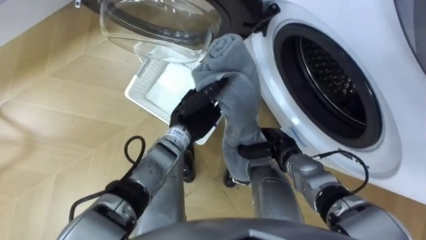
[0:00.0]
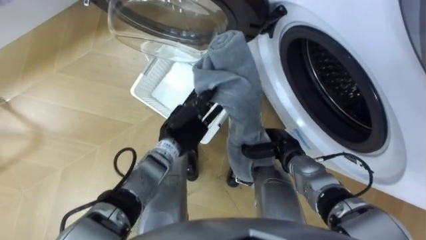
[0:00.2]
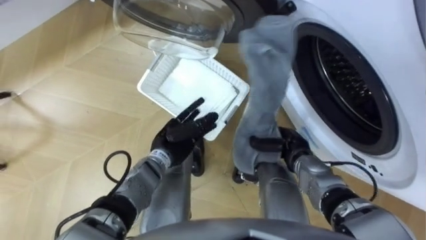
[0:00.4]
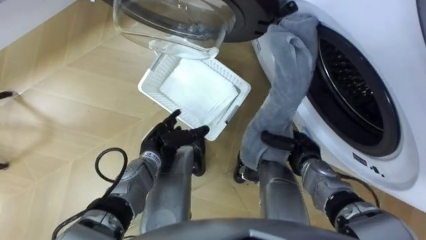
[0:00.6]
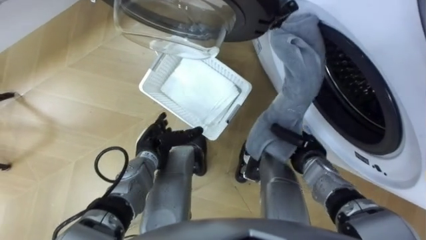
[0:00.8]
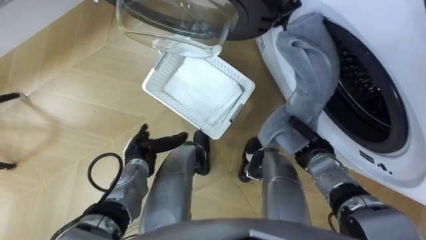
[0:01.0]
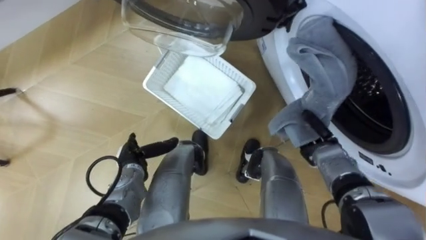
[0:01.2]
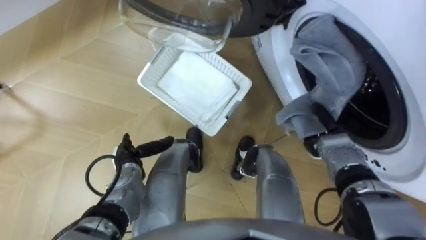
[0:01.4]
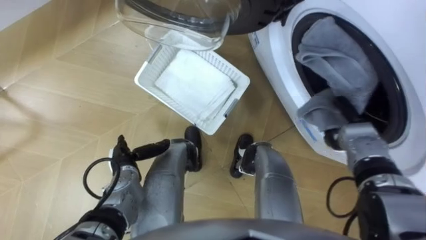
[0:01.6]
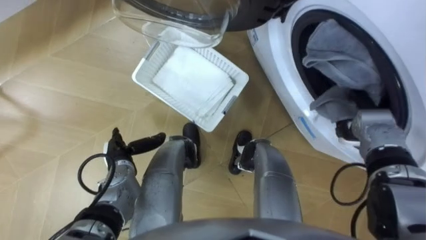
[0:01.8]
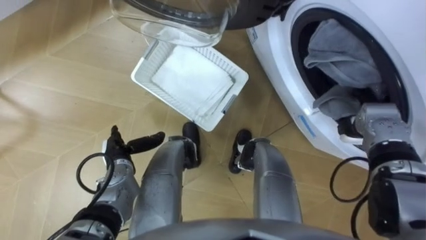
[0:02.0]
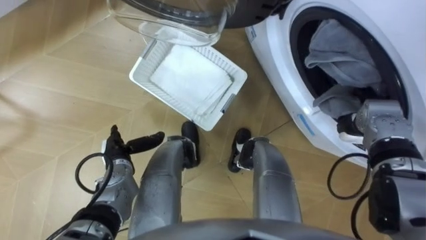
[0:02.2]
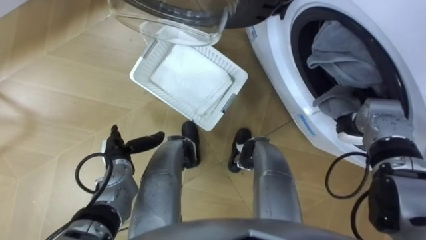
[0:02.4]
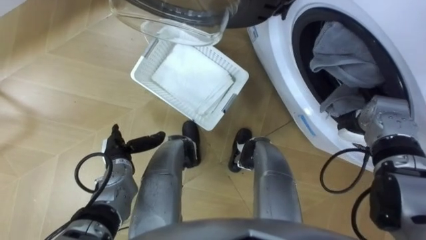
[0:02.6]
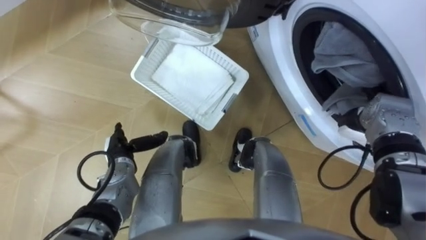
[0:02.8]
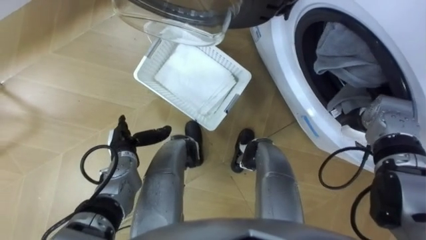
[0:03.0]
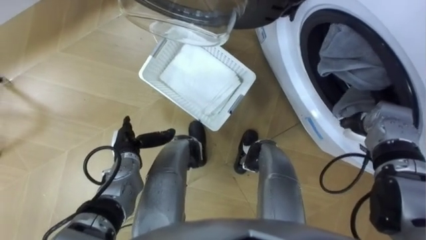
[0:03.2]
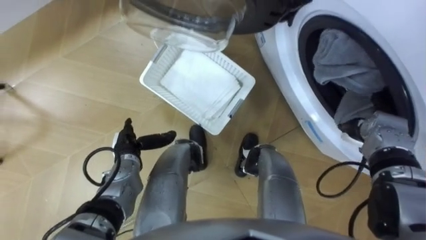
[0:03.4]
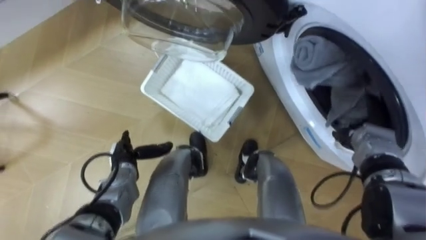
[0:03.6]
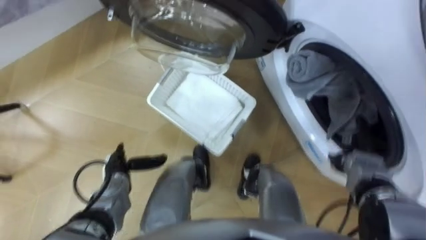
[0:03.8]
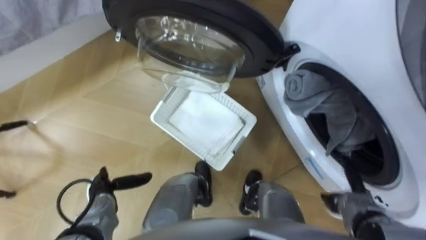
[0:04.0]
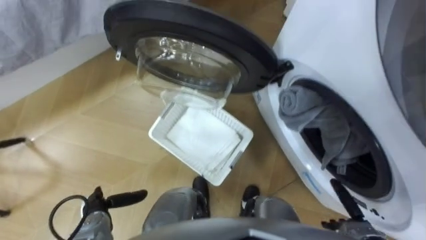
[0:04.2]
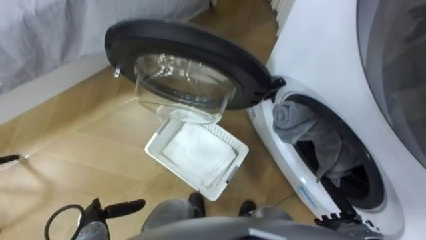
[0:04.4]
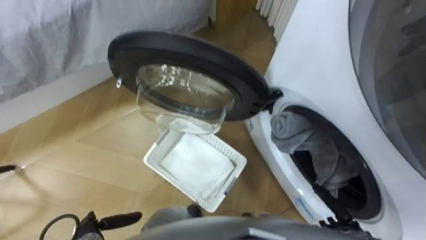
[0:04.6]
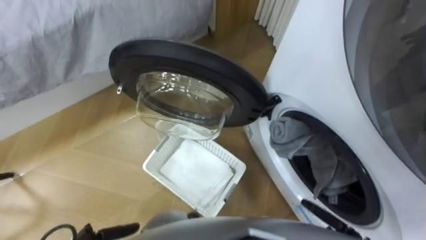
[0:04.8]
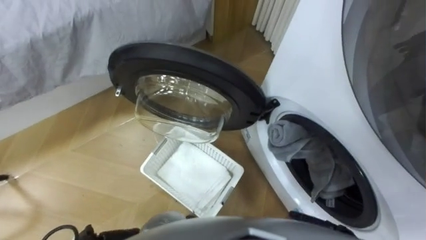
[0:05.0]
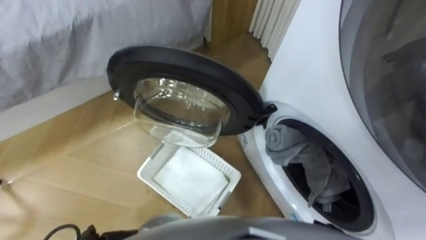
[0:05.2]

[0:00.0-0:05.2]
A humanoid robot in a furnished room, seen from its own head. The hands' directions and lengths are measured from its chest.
Task of the whole recording: Take the towel from the basket and put it into the washing machine.
0:00.0 to 0:01.8: The right hand moves to the right, roughly 15 cm, while the left hand shifts some 20 cm to the left, downward and backward, and opens its fingers.
0:01.8 to 0:03.4: The right hand opens up.

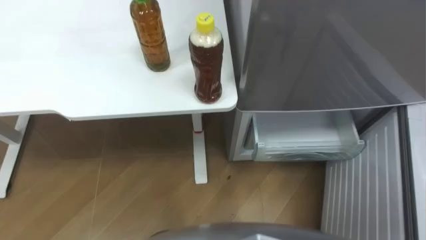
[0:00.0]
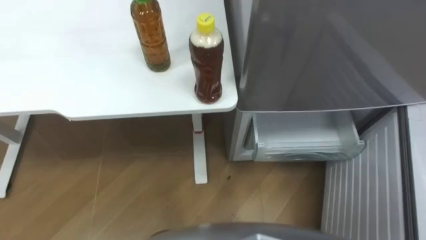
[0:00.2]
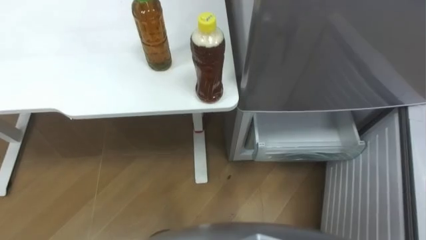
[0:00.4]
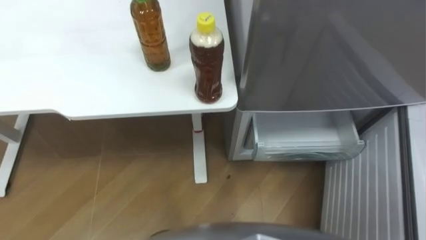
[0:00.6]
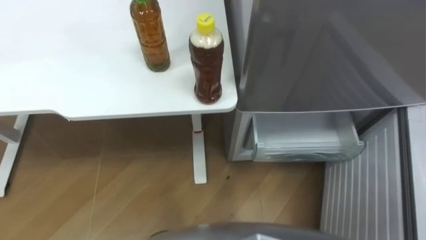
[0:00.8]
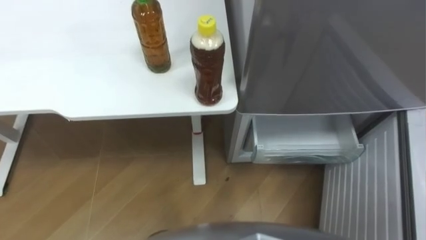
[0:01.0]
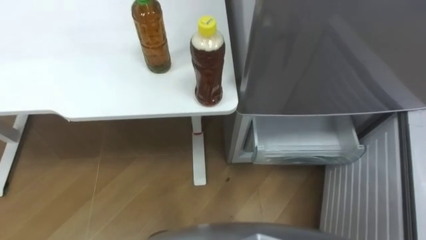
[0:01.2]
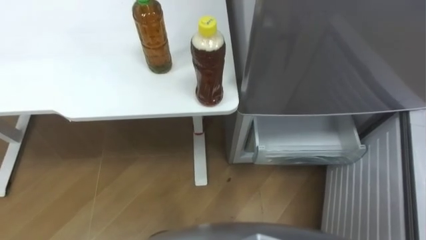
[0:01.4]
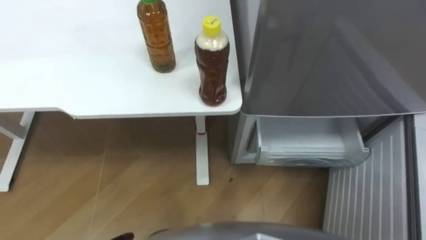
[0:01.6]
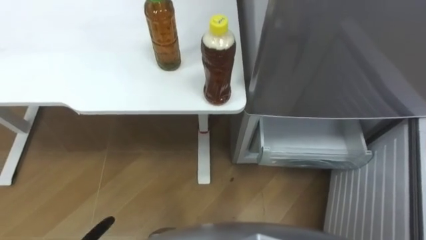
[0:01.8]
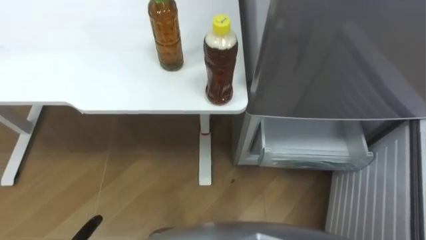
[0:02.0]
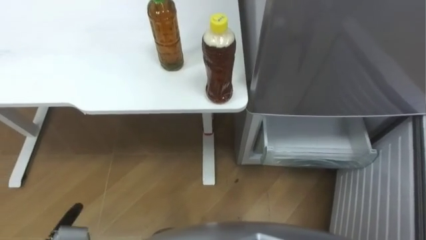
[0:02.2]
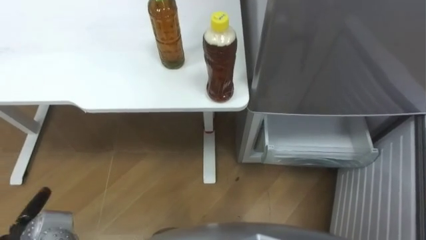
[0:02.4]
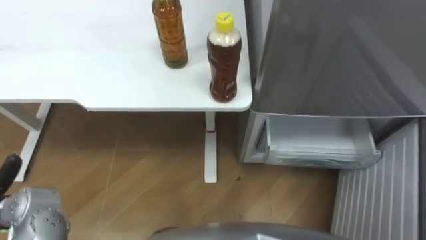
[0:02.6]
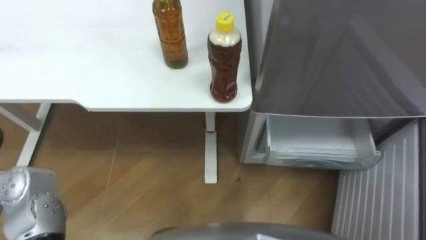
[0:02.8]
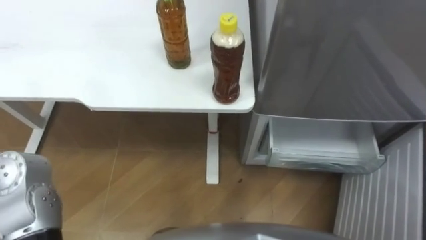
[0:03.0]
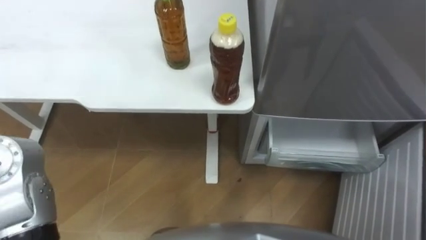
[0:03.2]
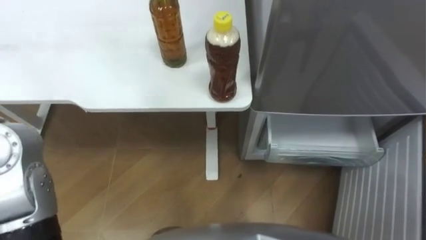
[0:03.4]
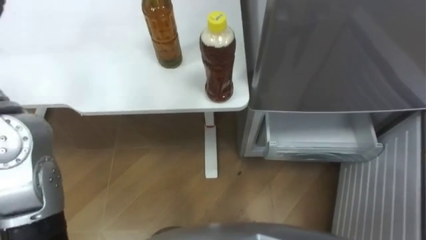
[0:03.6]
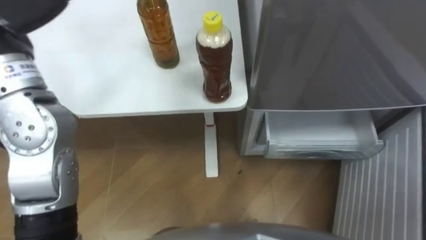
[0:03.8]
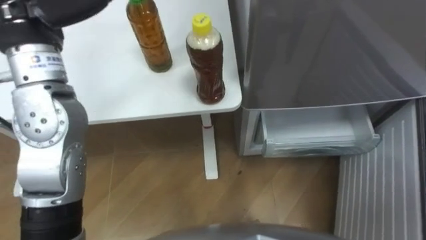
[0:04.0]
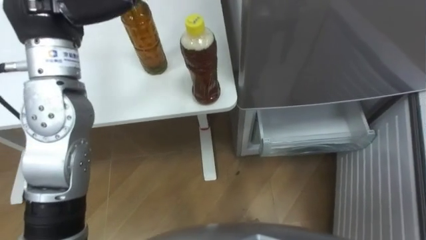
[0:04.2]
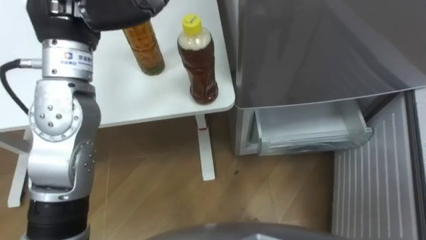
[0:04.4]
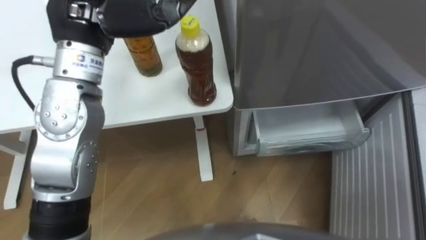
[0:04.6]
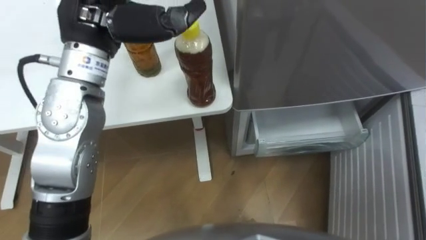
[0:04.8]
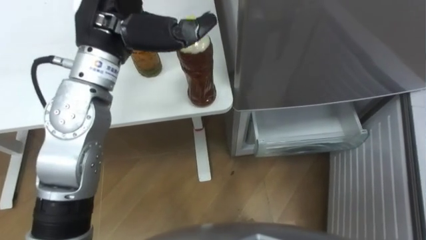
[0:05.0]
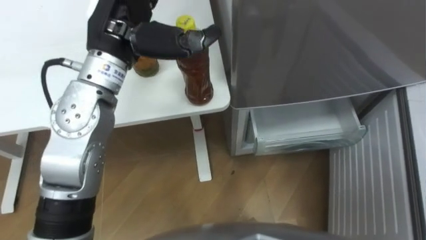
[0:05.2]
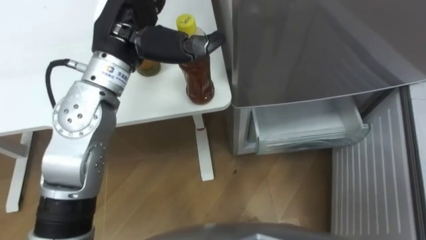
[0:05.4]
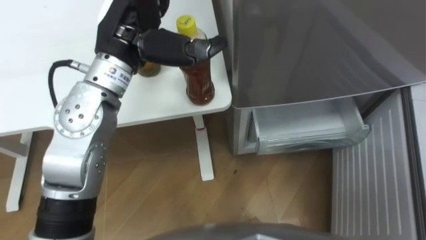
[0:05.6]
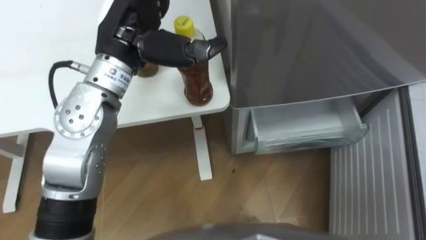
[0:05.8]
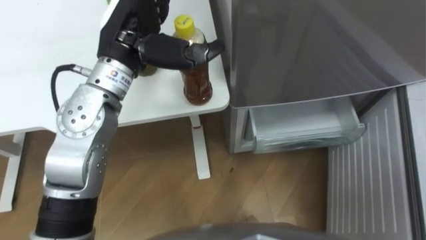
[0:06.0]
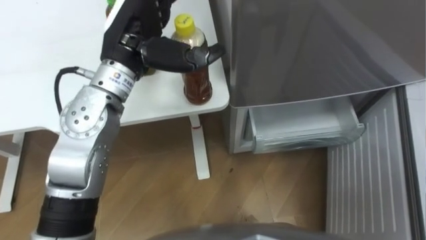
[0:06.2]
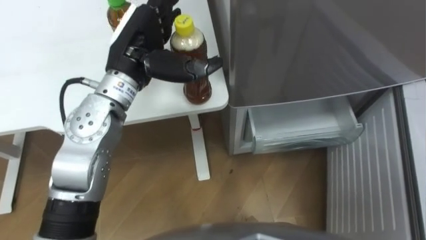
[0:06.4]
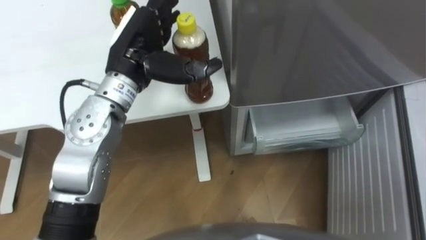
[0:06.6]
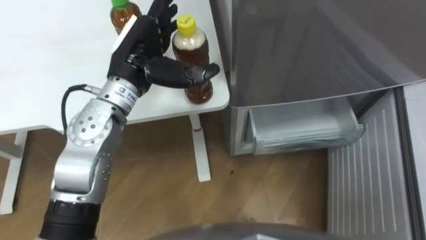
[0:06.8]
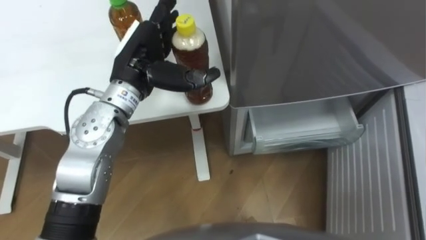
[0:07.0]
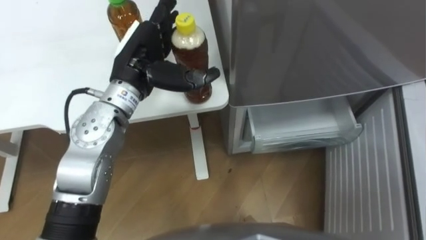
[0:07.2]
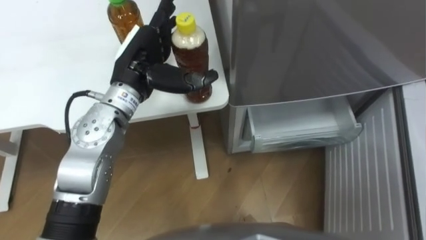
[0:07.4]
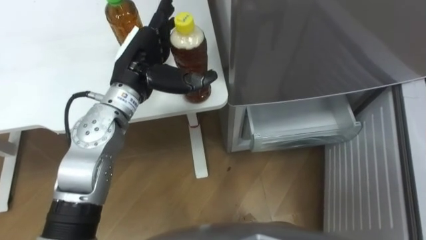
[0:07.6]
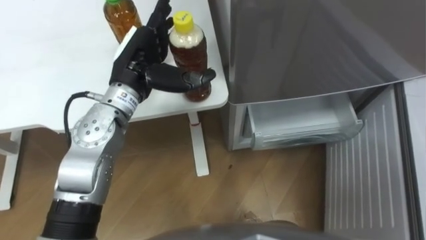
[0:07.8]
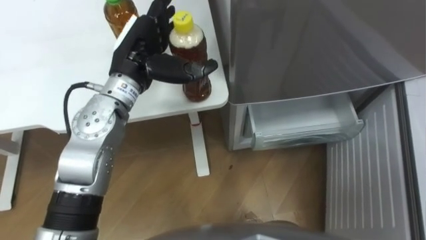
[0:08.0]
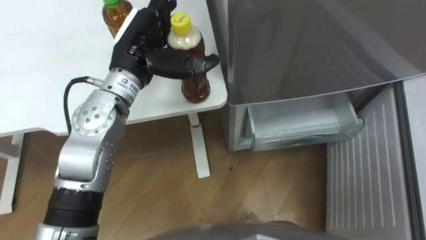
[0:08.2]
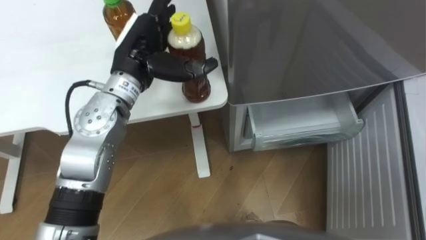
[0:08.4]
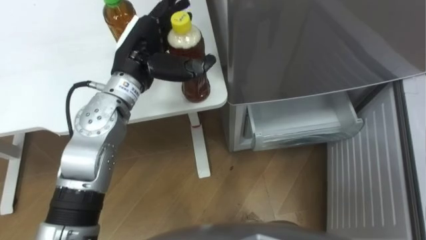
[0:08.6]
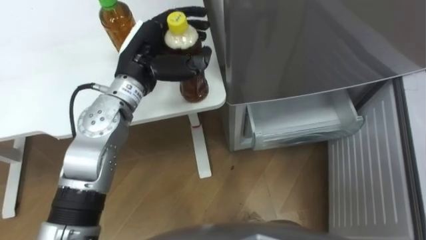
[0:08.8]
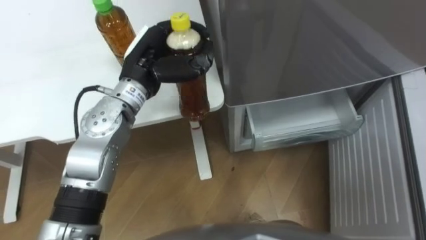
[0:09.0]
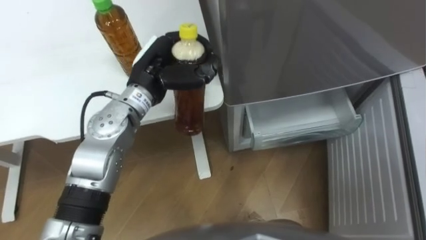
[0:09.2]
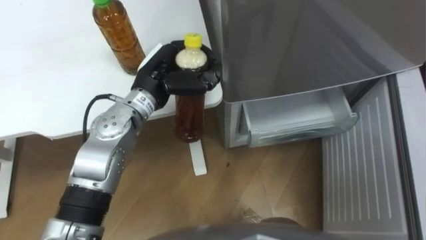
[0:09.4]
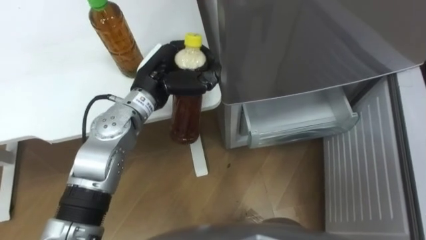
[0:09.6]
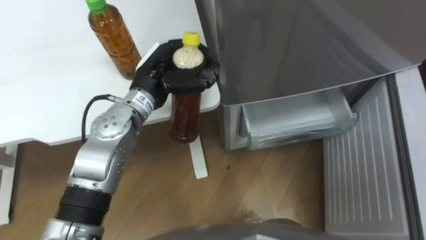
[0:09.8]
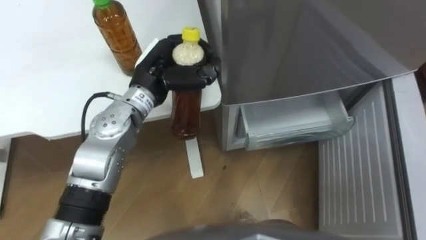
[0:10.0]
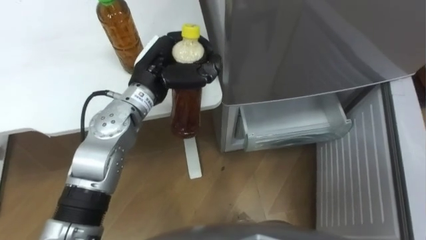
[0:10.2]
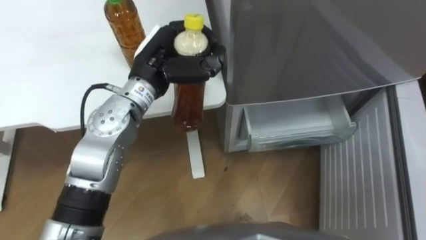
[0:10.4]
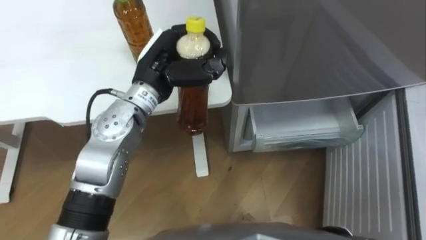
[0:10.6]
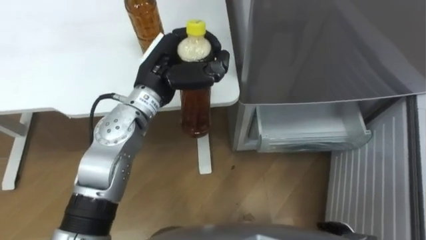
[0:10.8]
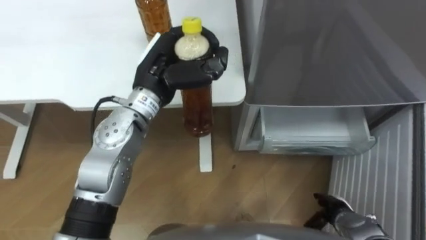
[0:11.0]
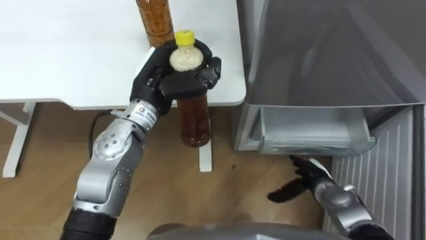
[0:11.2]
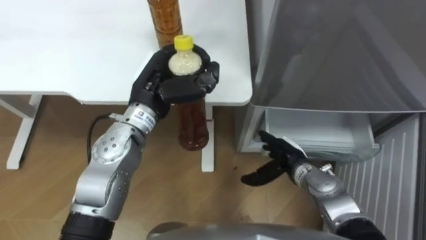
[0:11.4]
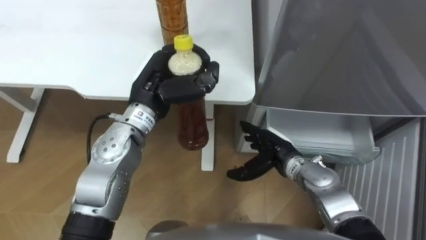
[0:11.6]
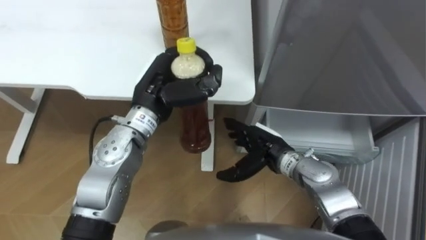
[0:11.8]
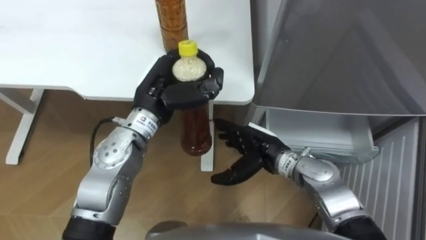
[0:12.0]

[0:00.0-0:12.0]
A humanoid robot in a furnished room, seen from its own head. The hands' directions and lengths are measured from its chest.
Task of the whole recording: Place the drink on the table on the bottom shelf of the refrigerator, then close the drawer and the refrigerator door.
0:04.4 to 0:06.0: The left hand goes approximately 10 cm downward and to the right.
0:06.0 to 0:07.6: The left hand travels downward by about 5 cm.
0:07.6 to 0:09.0: The left hand closes up.
